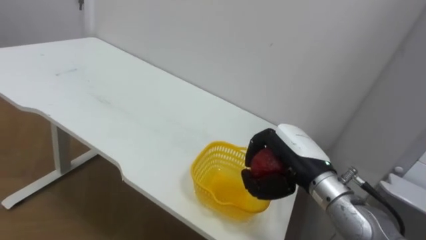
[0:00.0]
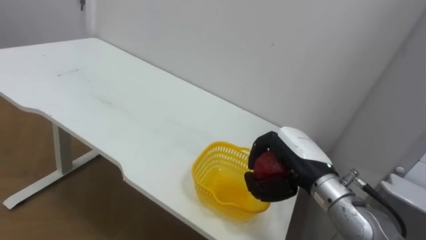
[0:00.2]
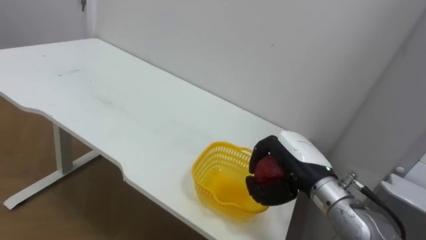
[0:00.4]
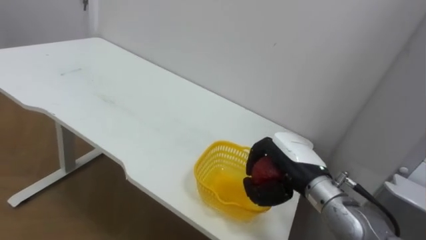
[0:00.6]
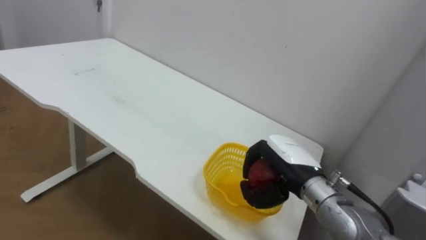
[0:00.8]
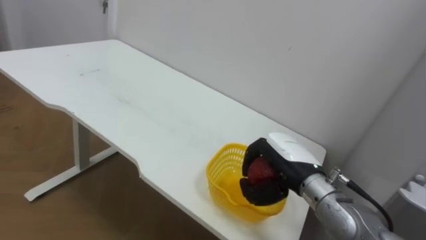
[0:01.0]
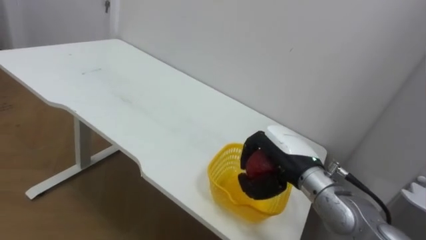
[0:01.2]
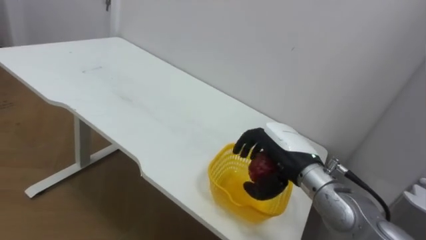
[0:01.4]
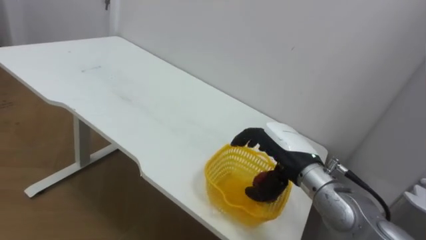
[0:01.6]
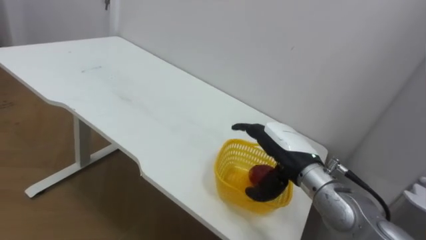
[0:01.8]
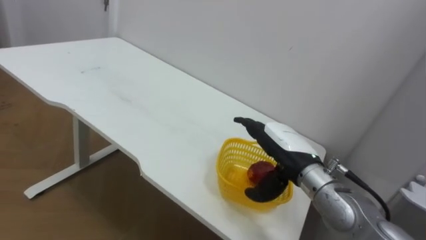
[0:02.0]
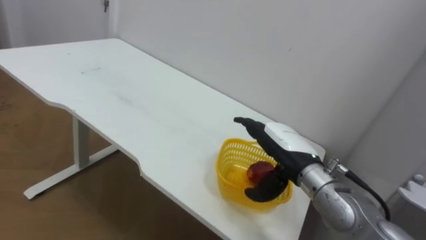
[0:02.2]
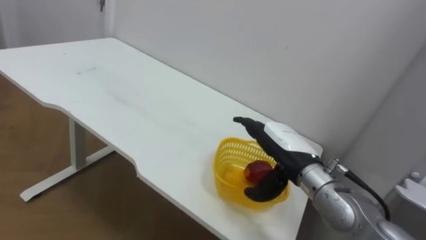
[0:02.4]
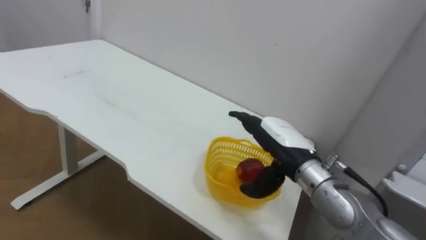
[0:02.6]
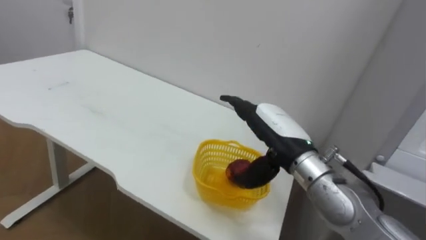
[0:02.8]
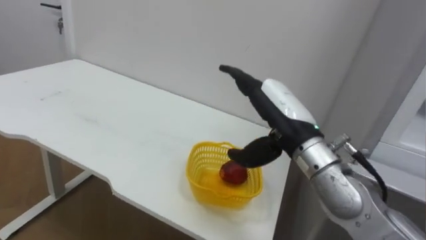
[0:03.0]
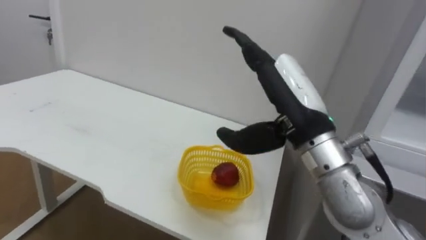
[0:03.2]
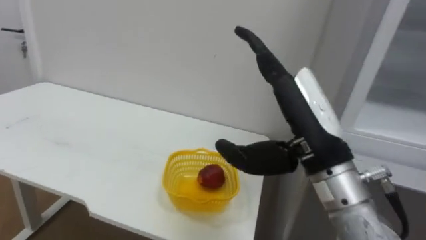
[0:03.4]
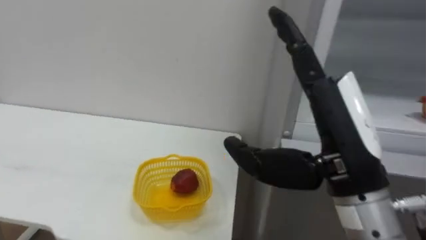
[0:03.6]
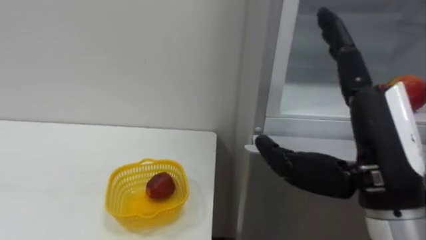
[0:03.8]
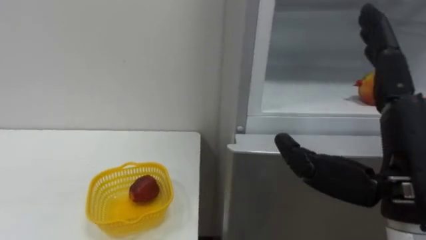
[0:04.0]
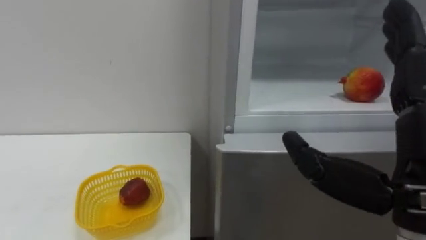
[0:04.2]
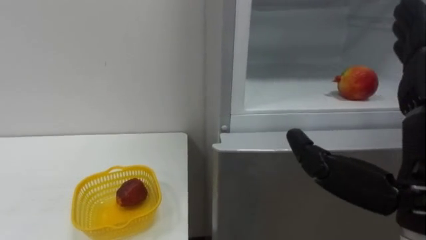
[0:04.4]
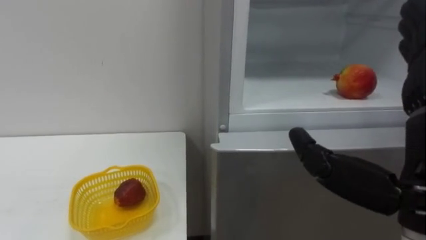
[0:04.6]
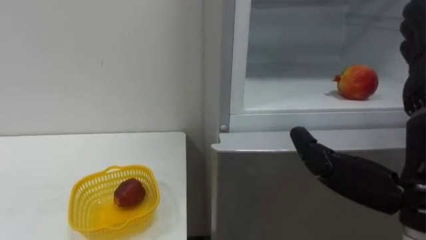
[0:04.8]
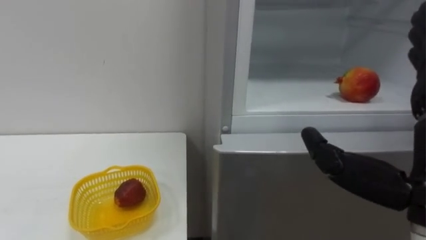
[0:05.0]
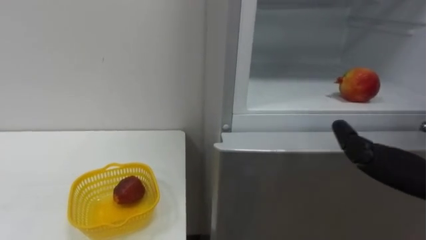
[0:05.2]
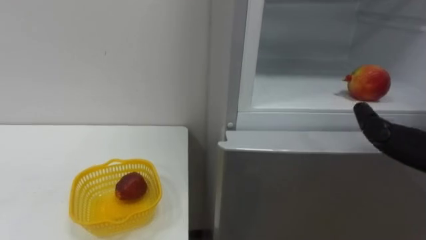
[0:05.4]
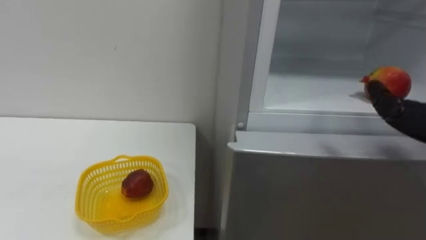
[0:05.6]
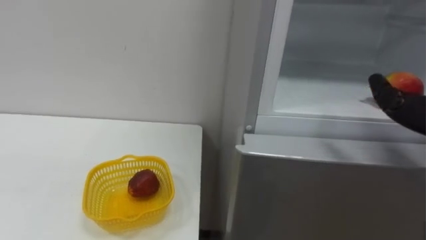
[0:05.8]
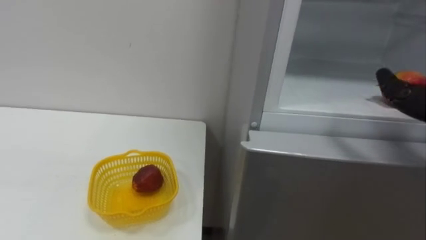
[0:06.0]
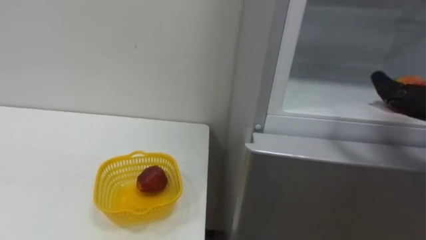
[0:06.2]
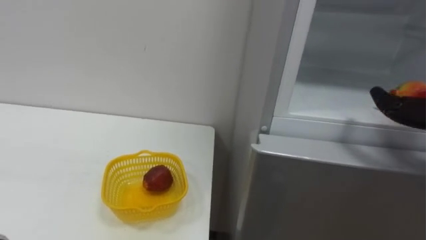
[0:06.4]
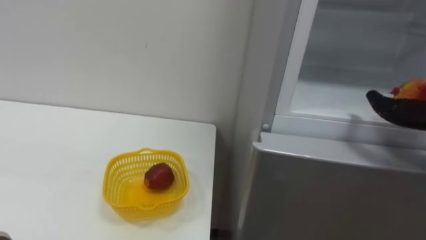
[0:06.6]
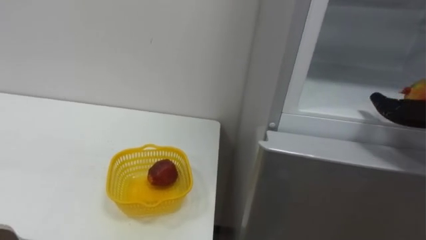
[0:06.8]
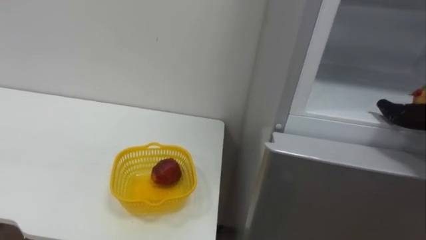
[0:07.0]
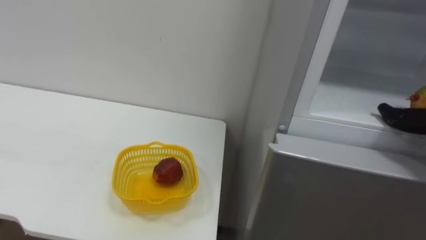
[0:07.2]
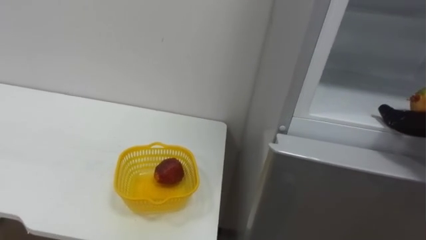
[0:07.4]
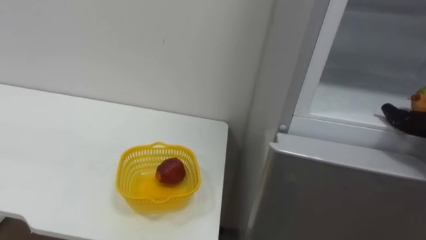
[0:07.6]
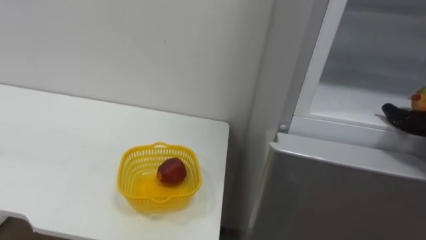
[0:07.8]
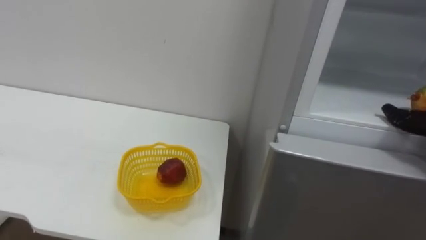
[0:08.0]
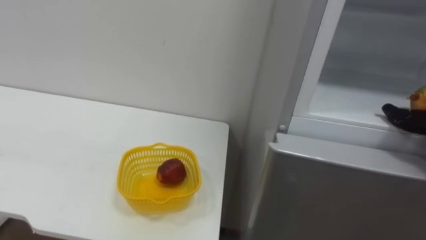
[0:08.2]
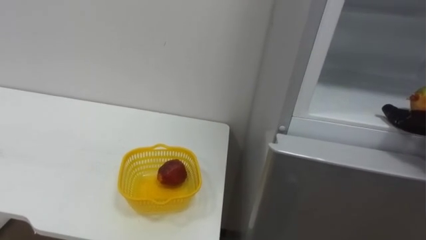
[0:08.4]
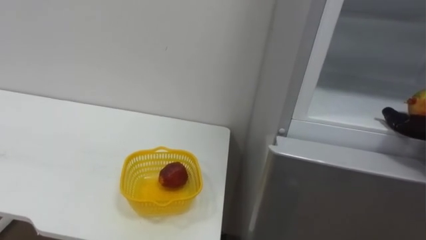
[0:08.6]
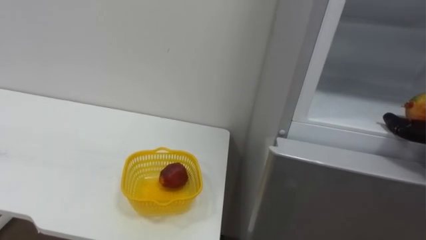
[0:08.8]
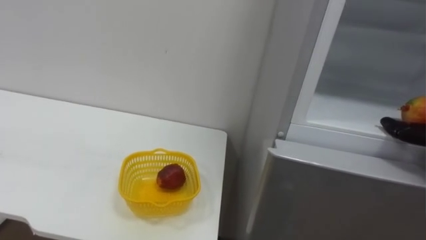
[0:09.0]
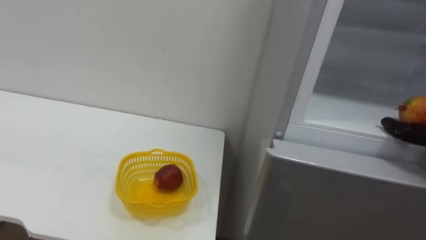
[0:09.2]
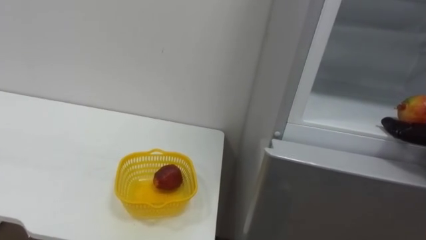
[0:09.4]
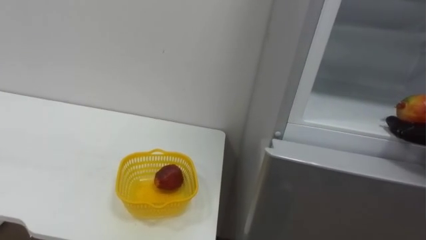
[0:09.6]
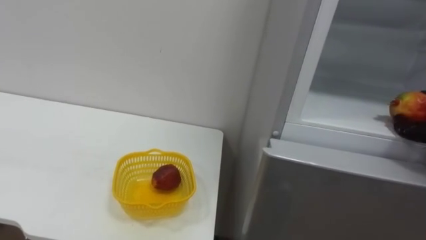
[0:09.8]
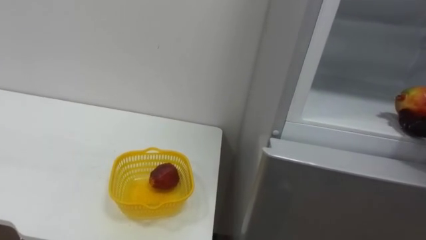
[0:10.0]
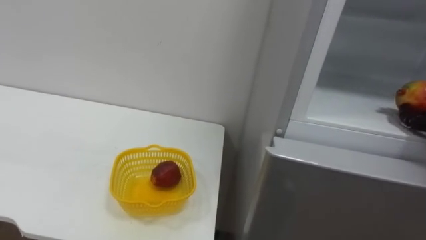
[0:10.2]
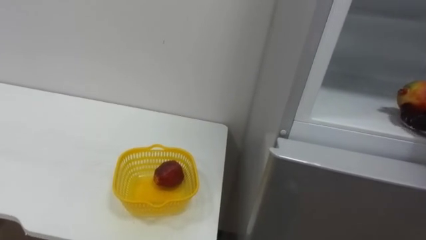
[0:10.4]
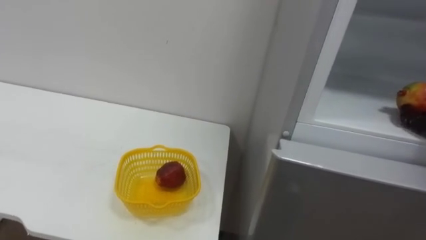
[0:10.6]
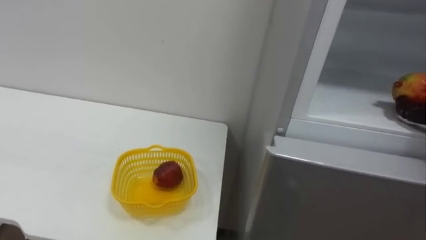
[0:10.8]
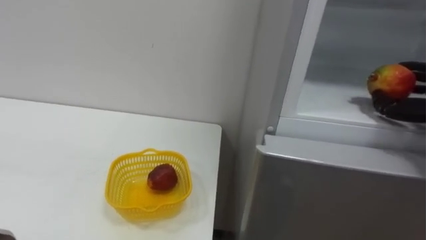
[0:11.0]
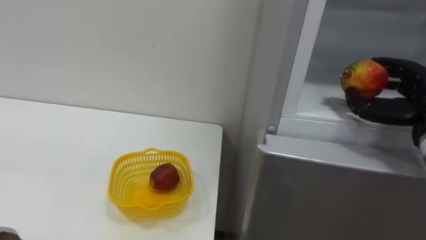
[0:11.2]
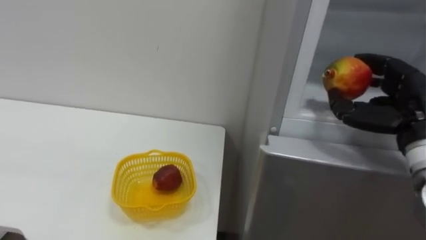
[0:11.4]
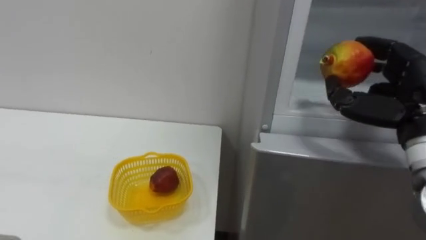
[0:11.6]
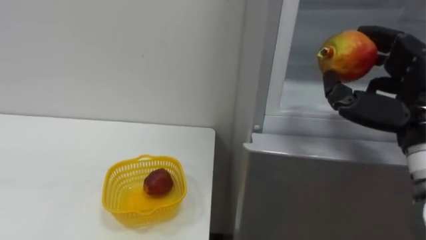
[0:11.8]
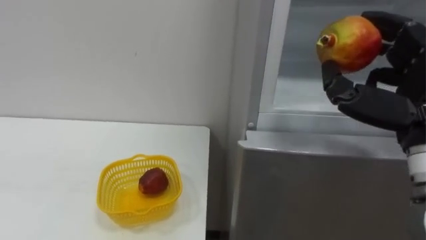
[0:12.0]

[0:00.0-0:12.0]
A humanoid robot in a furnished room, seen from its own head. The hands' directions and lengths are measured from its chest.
Task of the whole recording: Open the refrigerator door, take out the apple and the pomegranate, place them in the fruit basket on the left, and close the refrigerator door.
0:00.0 to 0:01.6: The right hand opens its fingers.
0:01.6 to 0:03.0: The right hand shifts about 10 cm upward.
0:03.0 to 0:04.4: The right hand is displaced backward and to the right by about 20 cm.

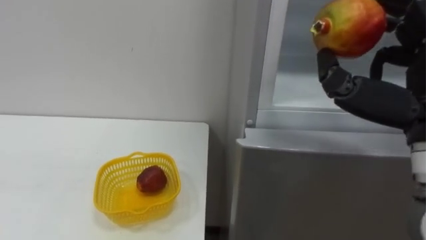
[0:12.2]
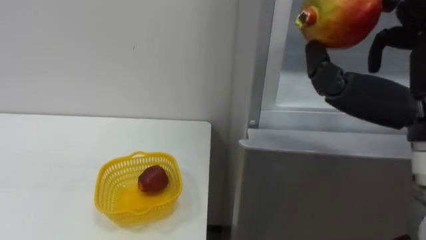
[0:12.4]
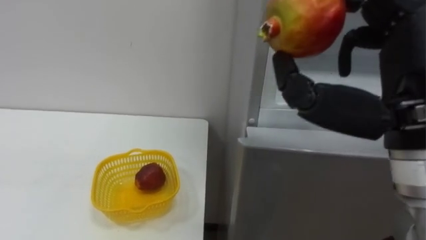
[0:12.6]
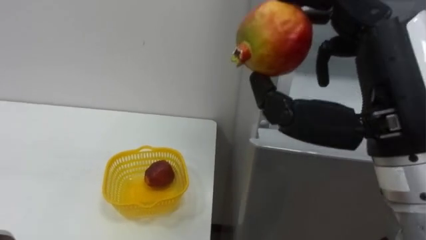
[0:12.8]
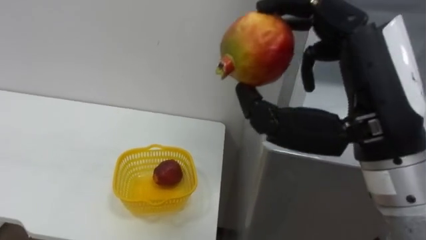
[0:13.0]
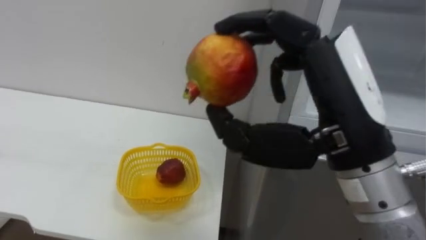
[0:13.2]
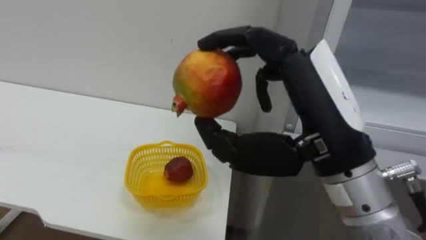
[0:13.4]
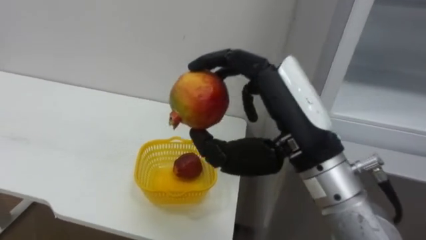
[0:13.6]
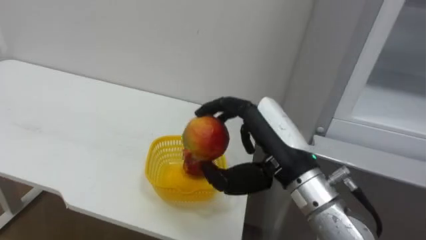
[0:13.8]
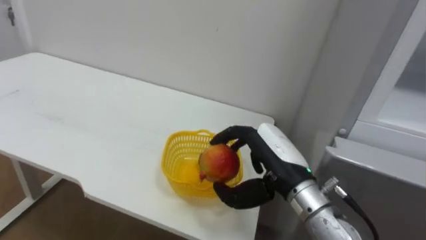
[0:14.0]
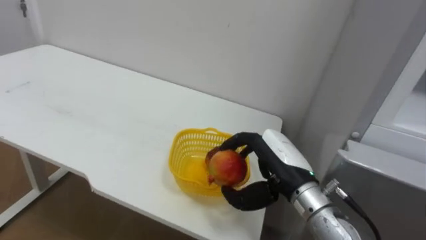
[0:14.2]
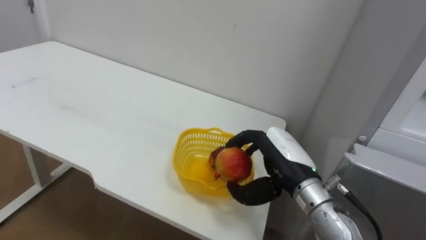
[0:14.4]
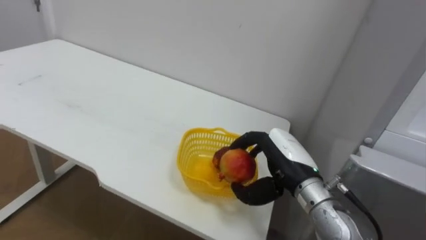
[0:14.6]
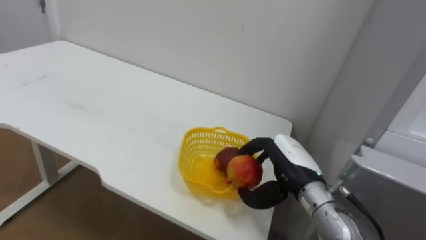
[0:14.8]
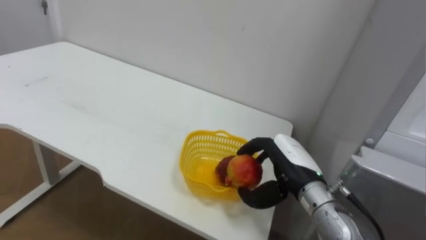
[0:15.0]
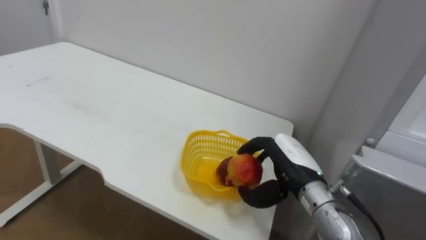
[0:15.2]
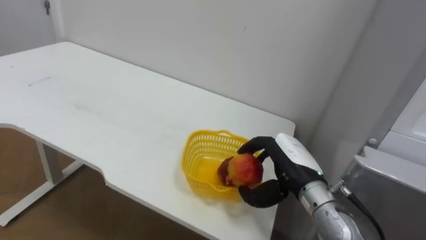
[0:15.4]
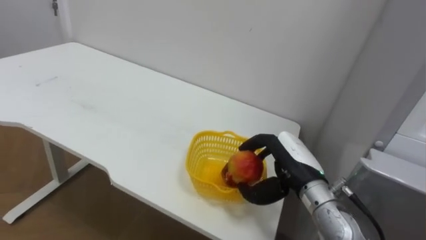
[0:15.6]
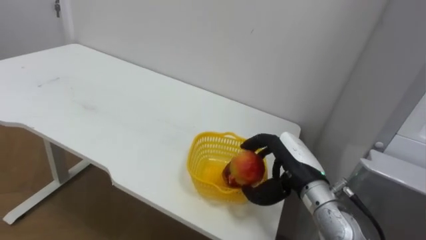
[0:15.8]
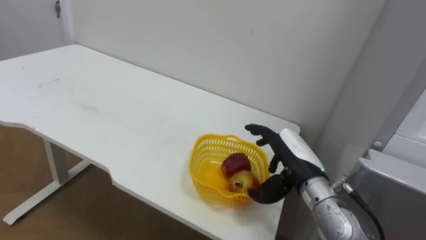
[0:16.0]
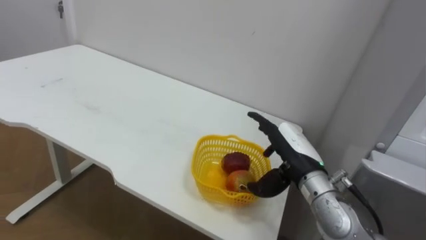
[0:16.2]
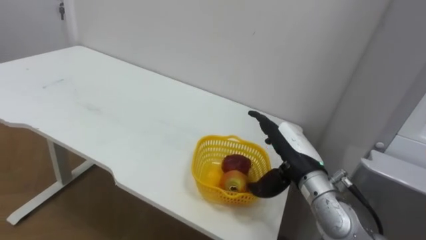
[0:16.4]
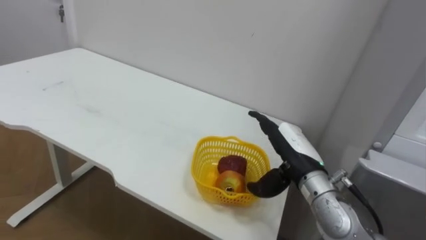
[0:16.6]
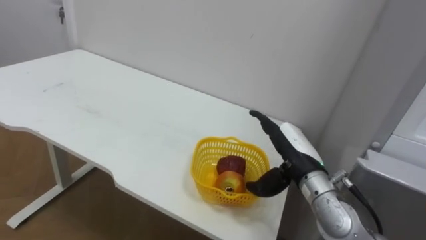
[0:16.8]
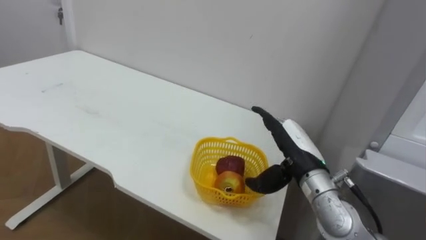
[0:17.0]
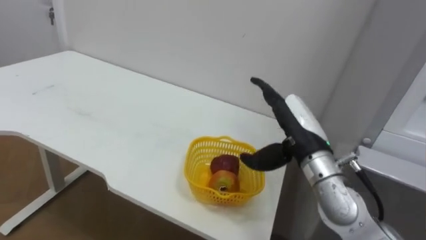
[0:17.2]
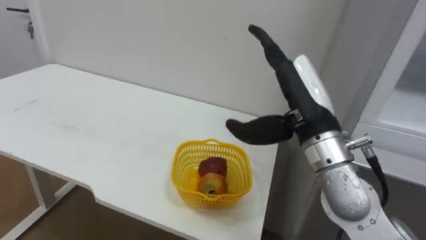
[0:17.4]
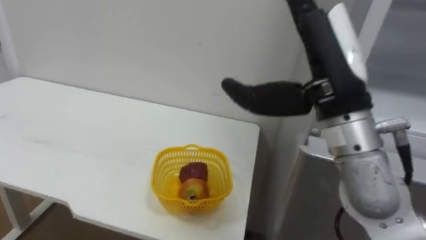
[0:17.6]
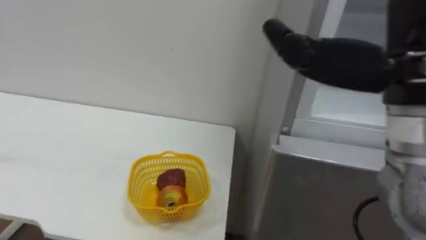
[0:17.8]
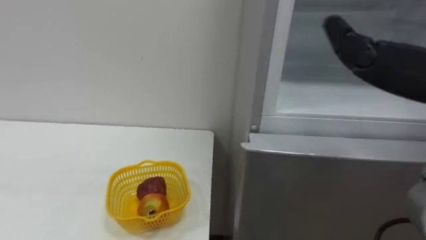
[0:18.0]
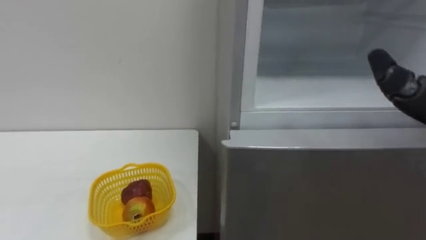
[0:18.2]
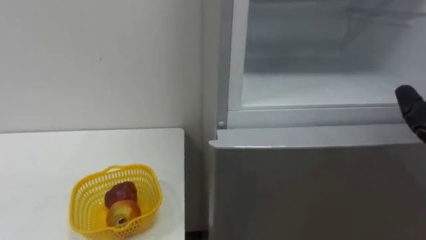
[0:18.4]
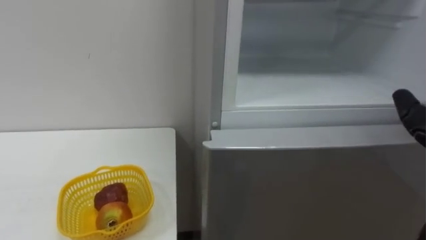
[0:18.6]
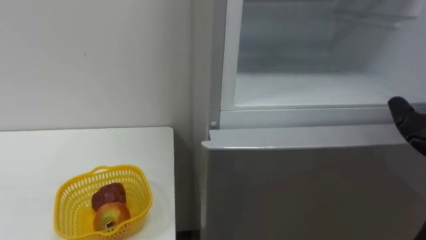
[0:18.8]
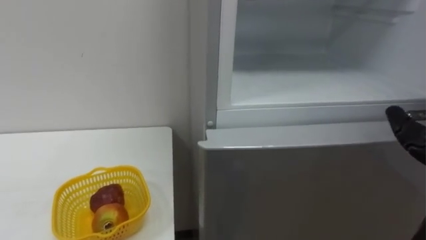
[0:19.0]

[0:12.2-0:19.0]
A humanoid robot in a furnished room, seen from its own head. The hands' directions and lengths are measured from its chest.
Task of the whole recording: Open the refrigerator door, take out the apple and the pomegranate, place them in the fruit basket on the left, and close the refrigerator door.
0:12.2 to 0:13.6: The right hand shifts about 15 cm to the left.
0:13.6 to 0:15.0: The right hand moves downward and forward, some 20 cm.
0:15.0 to 0:16.2: The right hand opens.
0:16.2 to 0:17.6: The right hand goes some 20 cm upward and backward.
